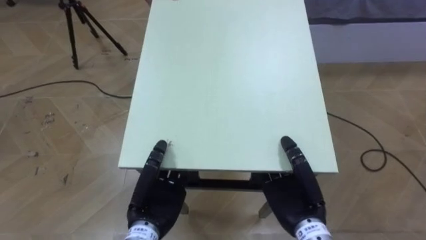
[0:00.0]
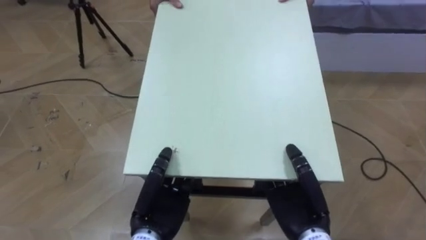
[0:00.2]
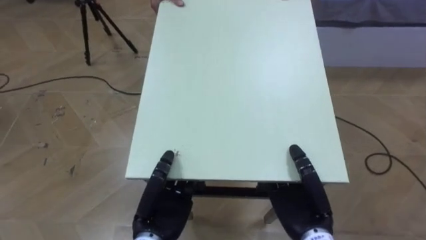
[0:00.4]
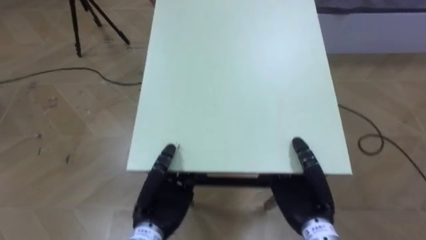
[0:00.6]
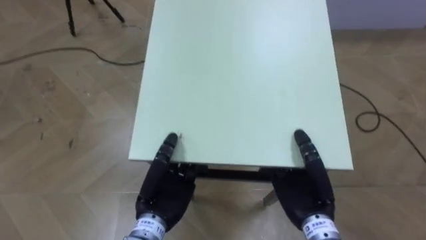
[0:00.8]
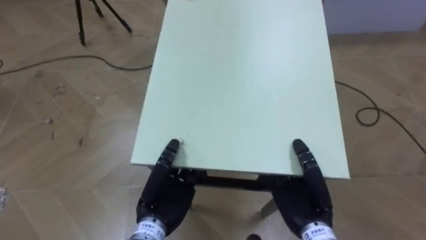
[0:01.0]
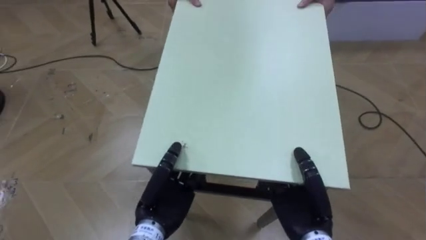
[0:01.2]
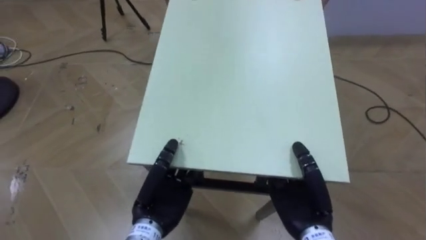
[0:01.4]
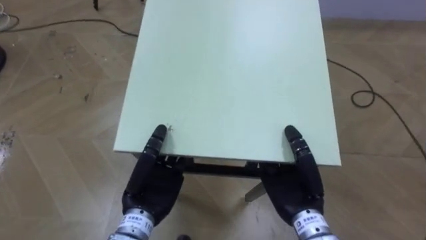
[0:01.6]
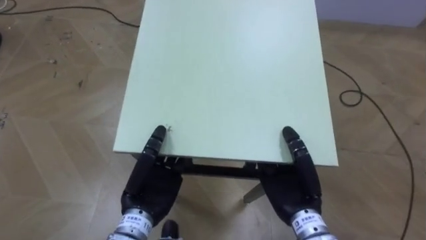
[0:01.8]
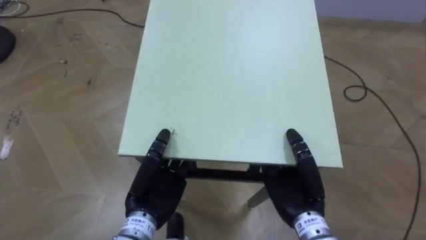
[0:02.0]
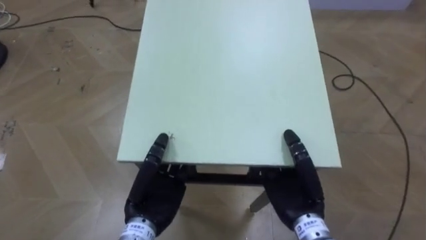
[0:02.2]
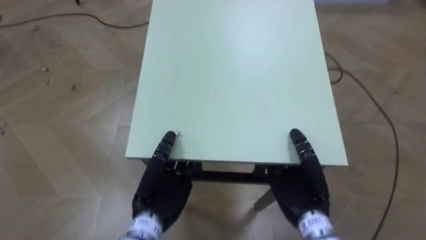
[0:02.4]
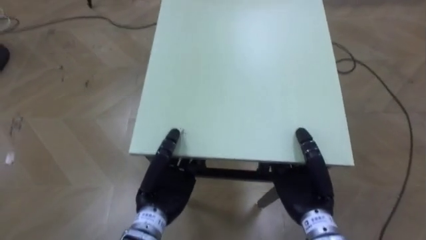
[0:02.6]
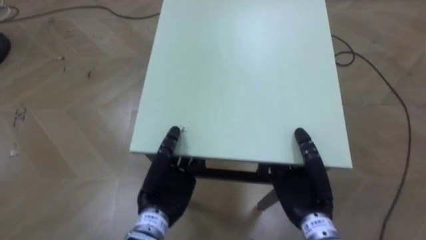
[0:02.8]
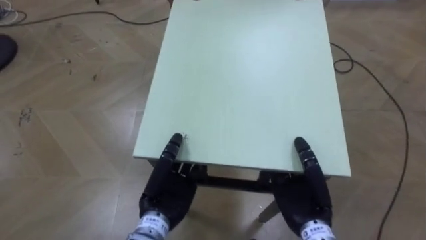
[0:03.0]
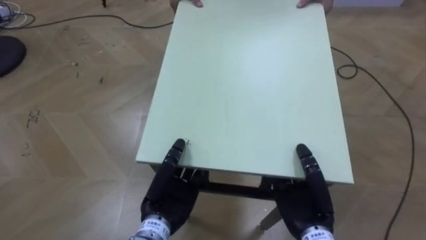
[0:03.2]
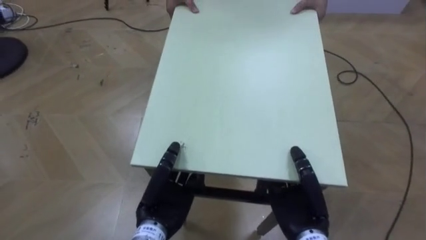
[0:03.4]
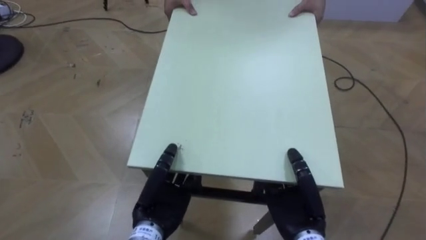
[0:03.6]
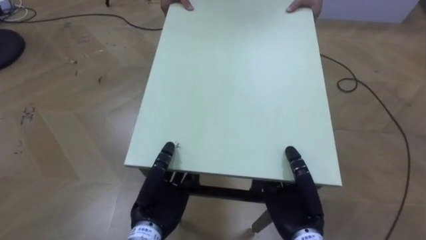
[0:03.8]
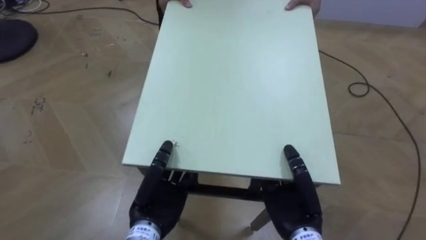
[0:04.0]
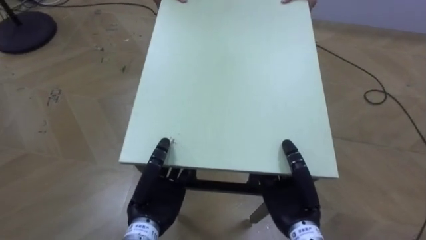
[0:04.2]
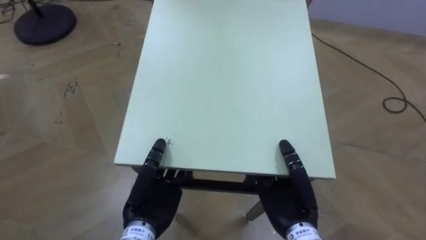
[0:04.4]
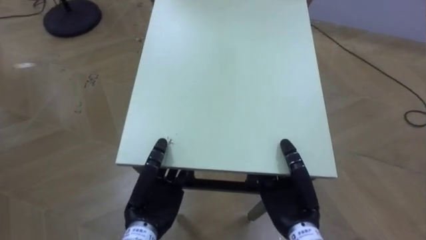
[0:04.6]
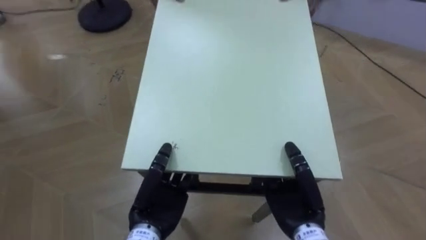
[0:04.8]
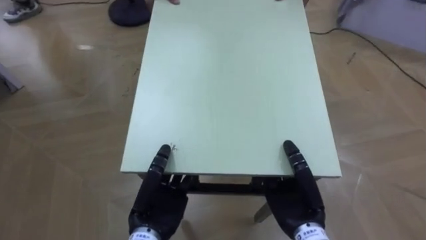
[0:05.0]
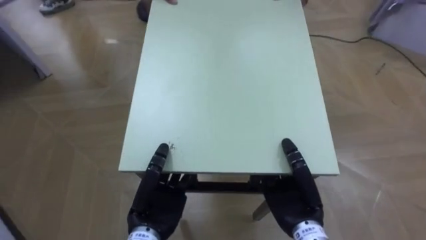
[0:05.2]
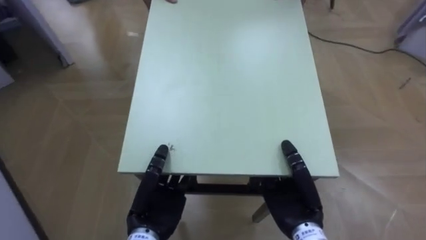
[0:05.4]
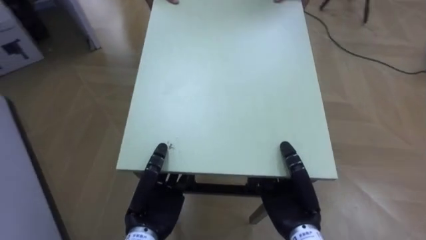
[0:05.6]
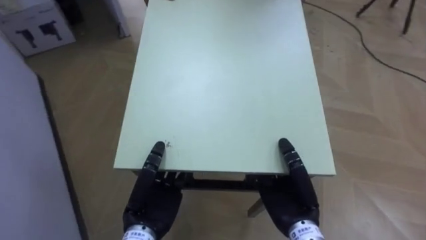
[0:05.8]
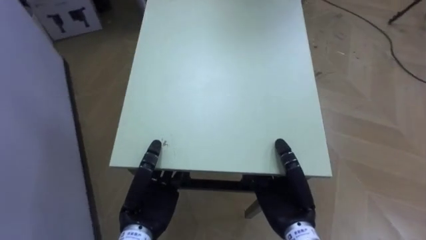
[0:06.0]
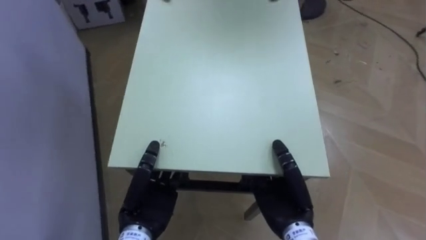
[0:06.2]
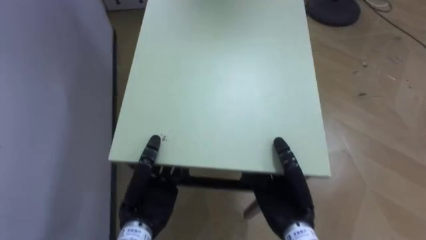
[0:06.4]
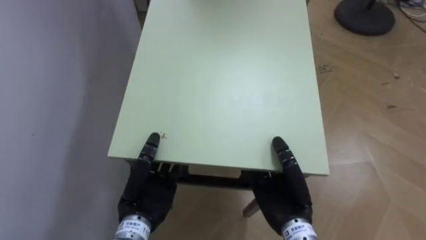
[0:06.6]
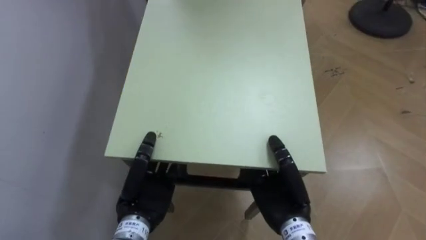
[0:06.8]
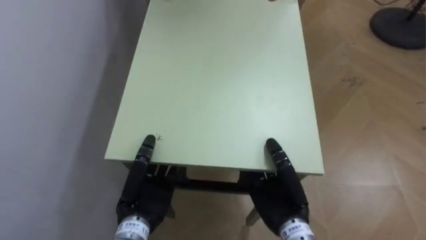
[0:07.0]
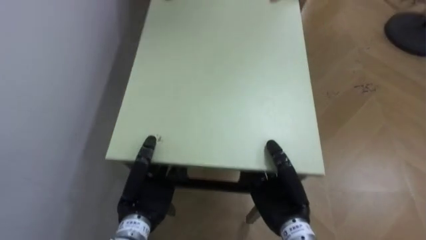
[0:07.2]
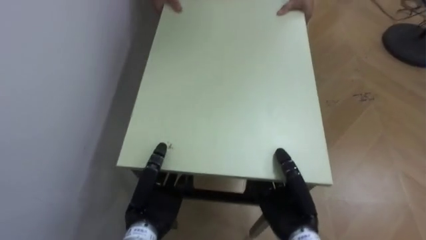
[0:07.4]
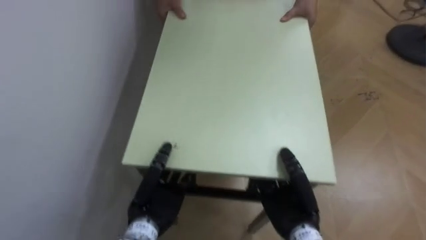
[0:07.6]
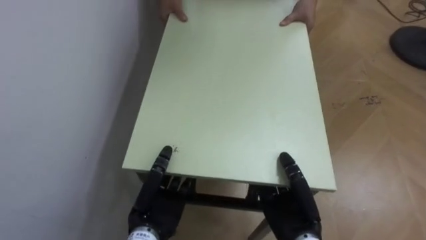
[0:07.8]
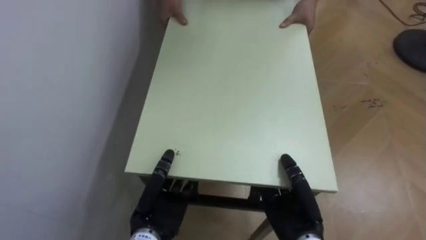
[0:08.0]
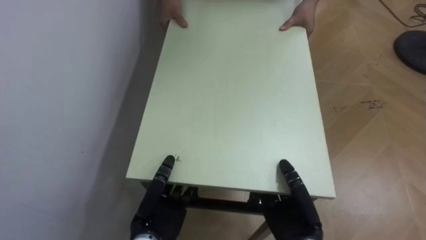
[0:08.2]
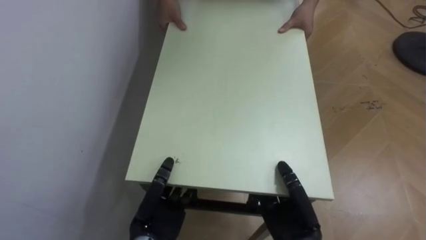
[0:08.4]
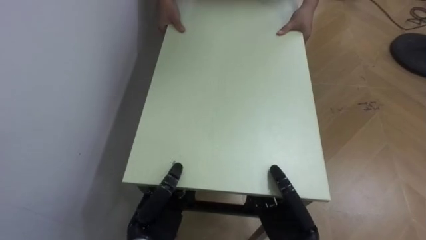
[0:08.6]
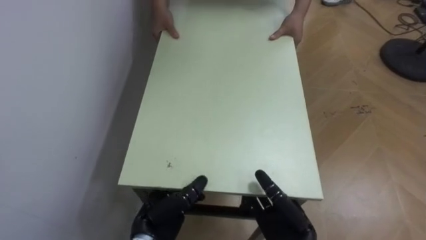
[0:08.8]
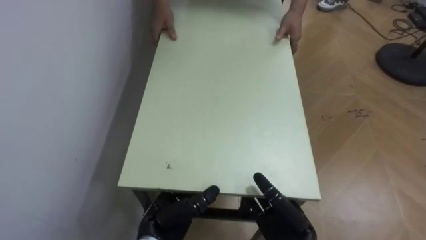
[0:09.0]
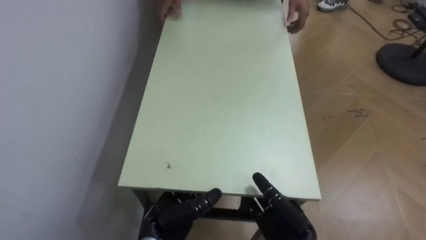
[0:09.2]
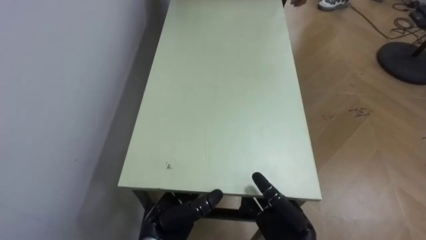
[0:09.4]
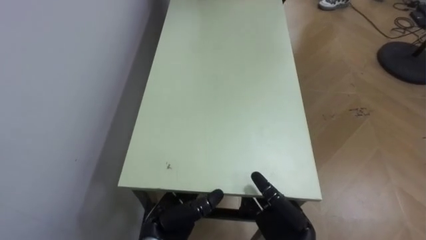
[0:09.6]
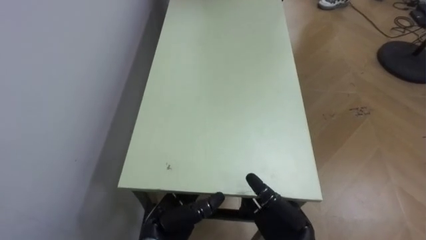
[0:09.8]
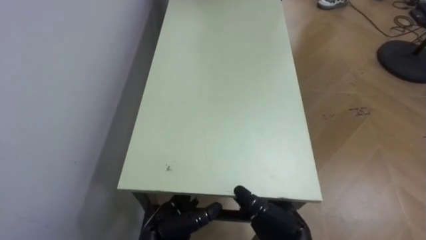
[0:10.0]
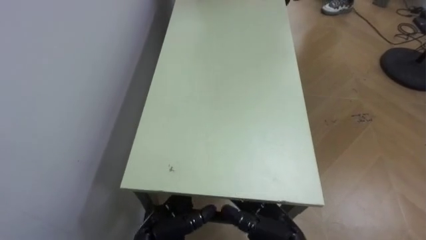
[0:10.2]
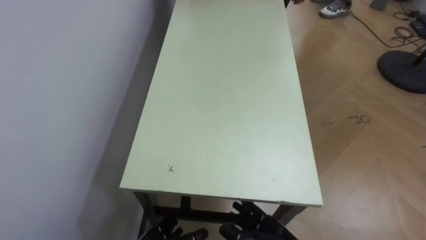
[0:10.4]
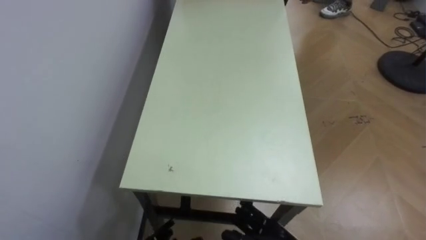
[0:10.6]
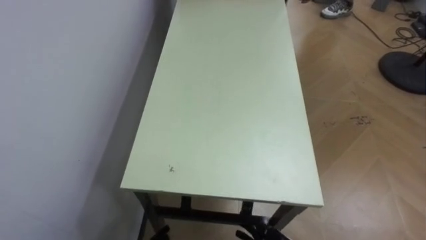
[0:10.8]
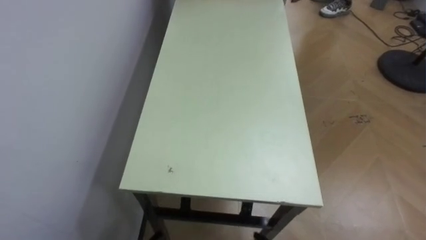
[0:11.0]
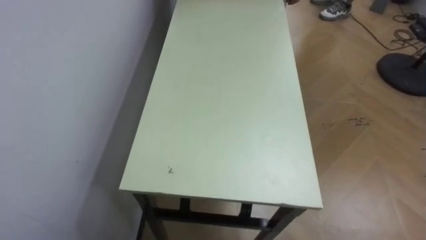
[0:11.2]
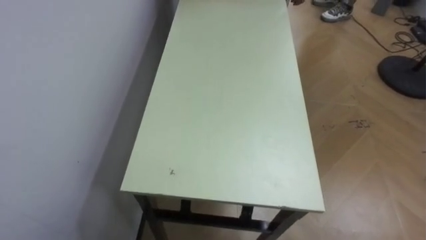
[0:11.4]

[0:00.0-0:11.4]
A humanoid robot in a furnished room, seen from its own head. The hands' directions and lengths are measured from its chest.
Task of the whole recording: Move the table to the back left with someone.
0:04.2 to 0:05.6: The robot rotates about 50 degrees to its left.
0:05.6 to 0:07.2: The robot's body swings some 35 degrees to its left.
0:07.2 to 0:08.6: The left hand ends up roughly 5 cm from where it was; the right hand ends up about 5 cm from where it was.
0:08.6 to 0:10.0: The left hand opens, while the right hand opens up.

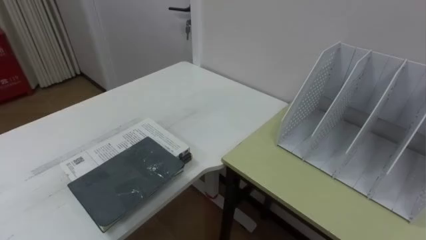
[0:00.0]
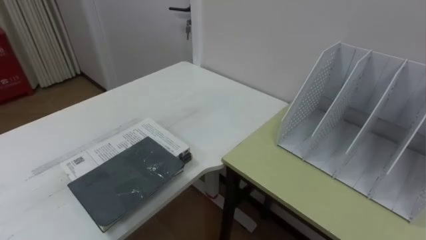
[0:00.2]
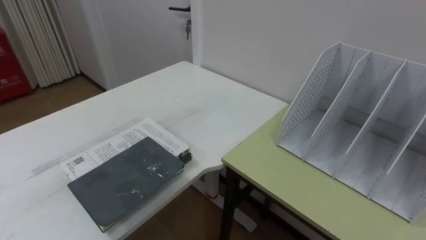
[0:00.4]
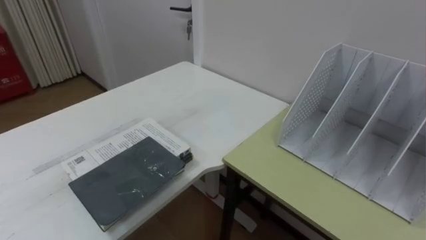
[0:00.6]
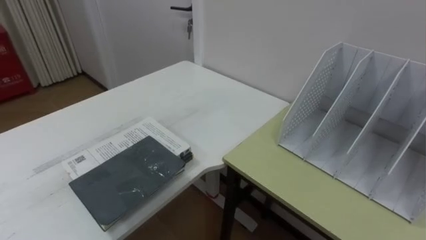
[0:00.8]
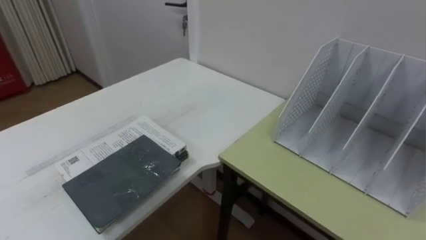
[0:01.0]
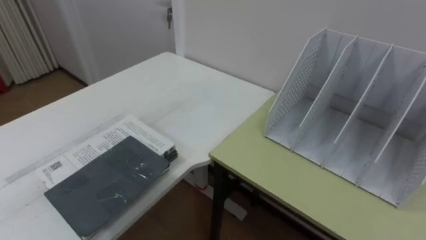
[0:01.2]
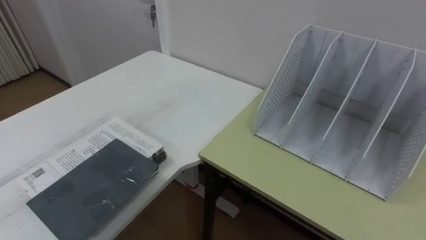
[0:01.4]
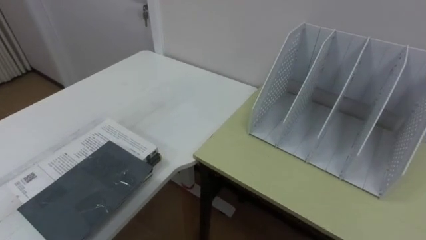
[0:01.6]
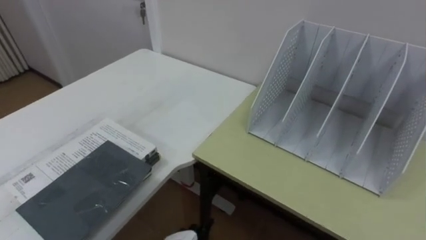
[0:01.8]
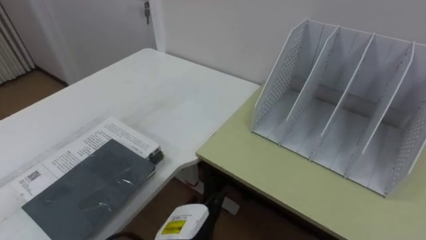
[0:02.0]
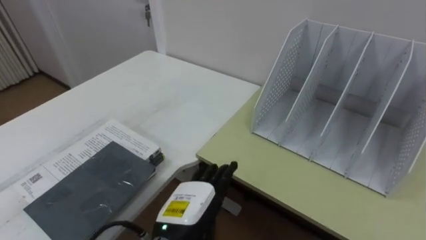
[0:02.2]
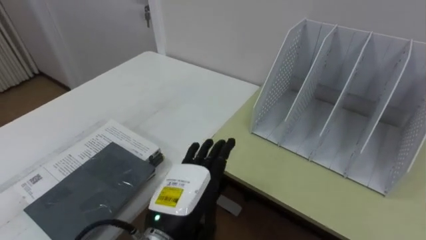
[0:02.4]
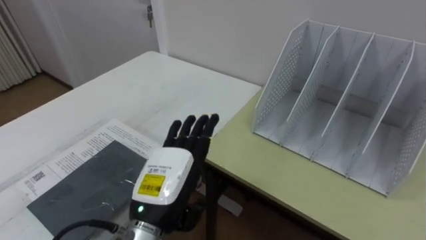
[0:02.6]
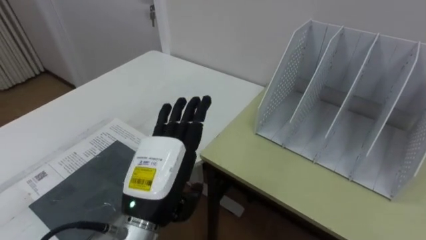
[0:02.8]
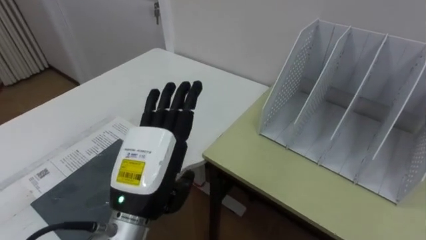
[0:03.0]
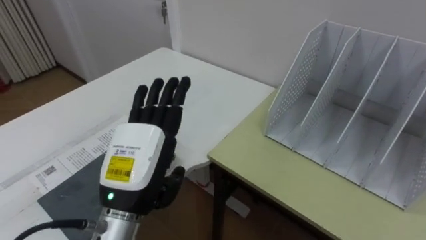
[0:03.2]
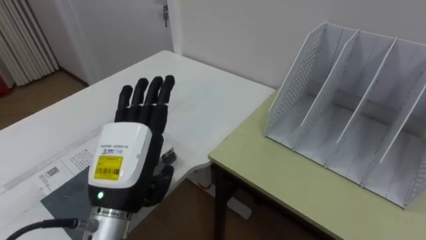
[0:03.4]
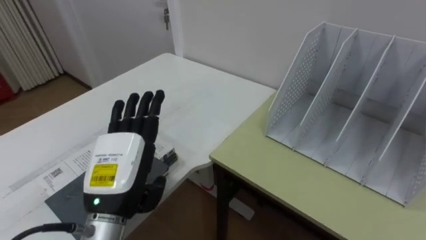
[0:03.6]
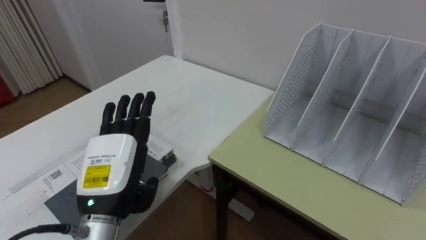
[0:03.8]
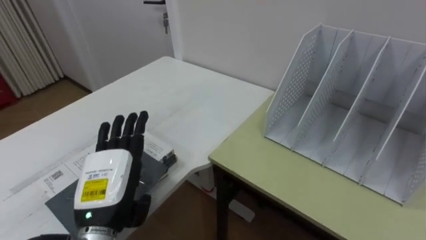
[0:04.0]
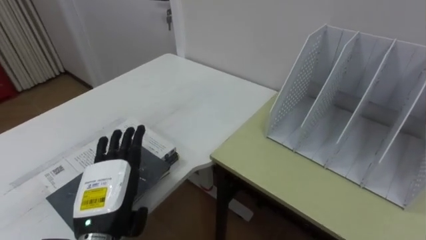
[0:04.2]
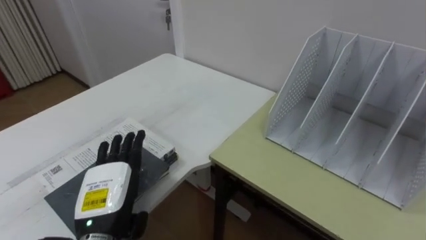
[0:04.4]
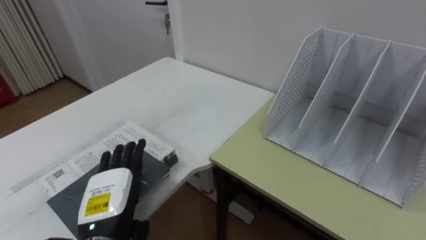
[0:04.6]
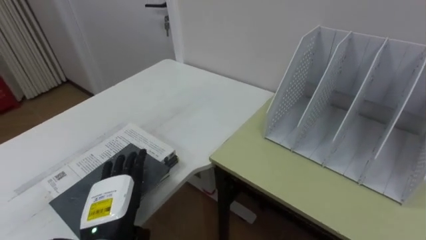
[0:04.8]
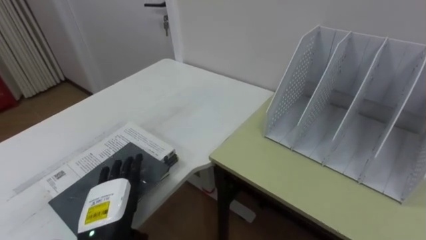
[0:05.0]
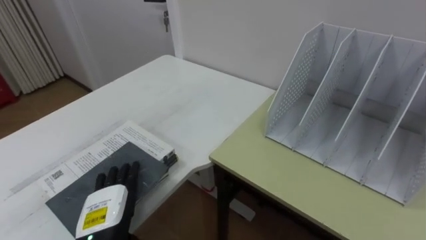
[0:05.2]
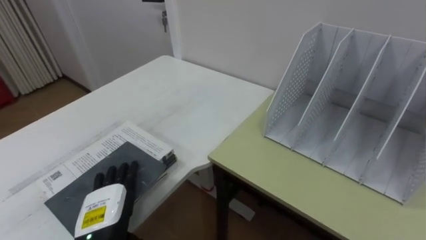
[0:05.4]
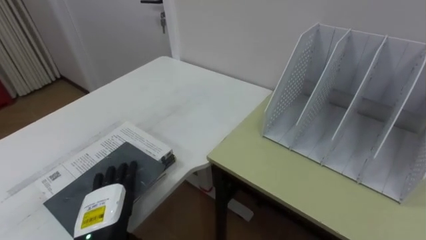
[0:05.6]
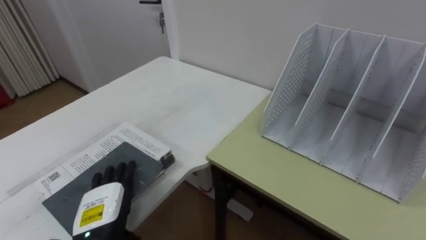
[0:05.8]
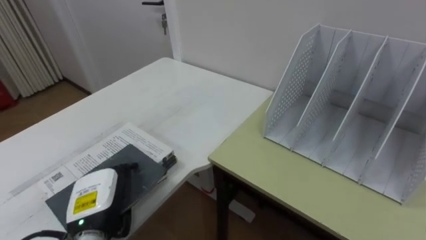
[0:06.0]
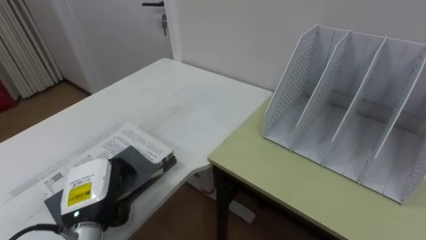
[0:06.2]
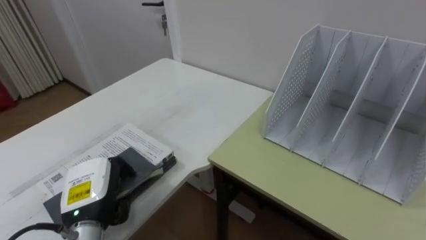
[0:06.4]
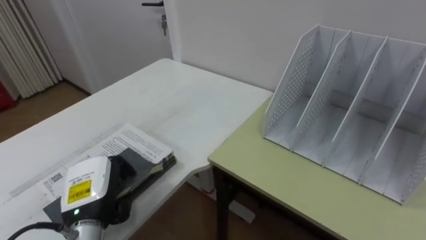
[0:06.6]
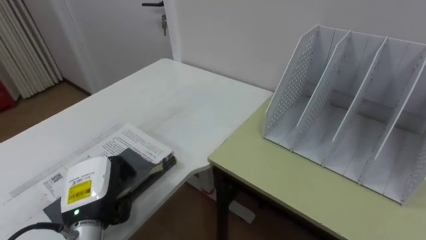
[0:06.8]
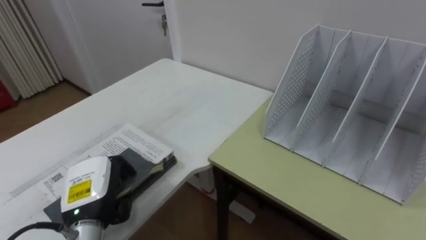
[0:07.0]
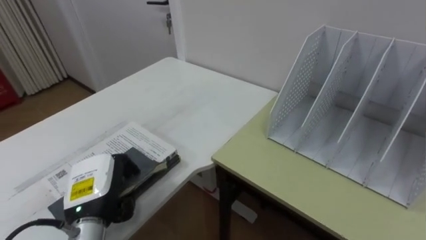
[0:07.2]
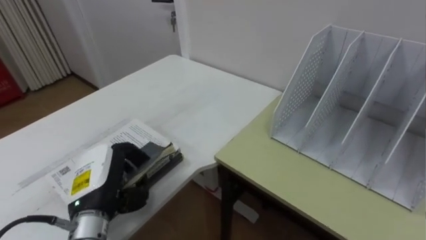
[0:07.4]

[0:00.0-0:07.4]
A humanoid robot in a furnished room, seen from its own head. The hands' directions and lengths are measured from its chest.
Task of the whole recording: Put the books on the table onto the bookshelf.
0:03.0 to 0:04.4: The left hand shifts approximately 10 cm downward and to the left.
0:06.0 to 0:07.4: The left hand closes its fingers.
